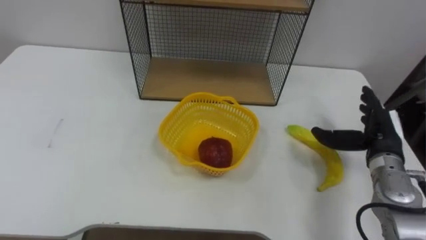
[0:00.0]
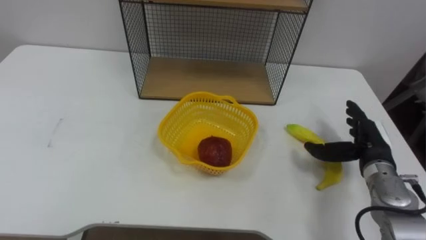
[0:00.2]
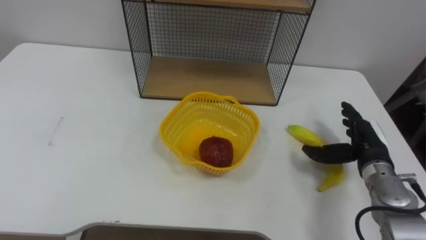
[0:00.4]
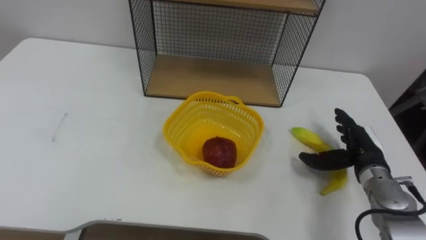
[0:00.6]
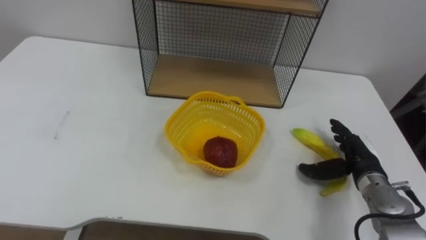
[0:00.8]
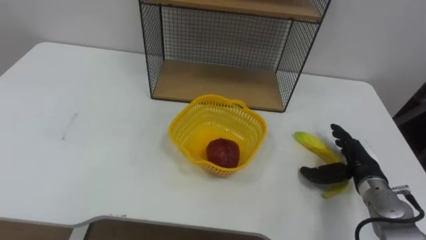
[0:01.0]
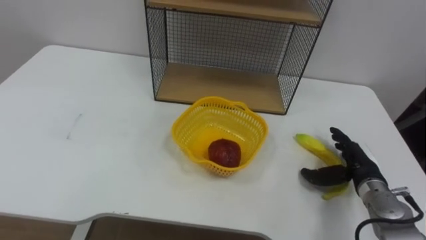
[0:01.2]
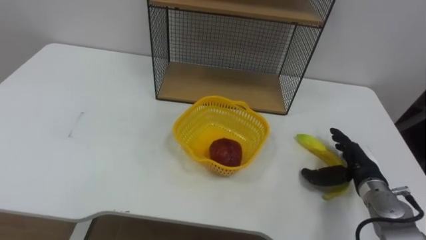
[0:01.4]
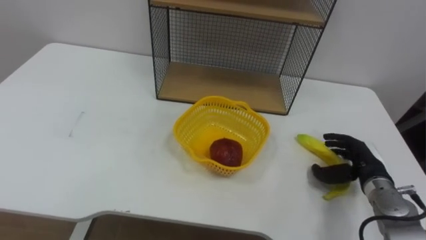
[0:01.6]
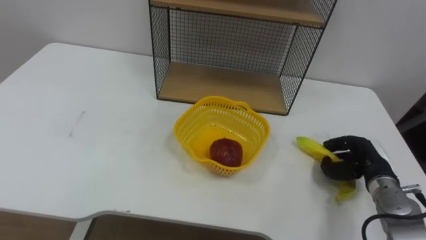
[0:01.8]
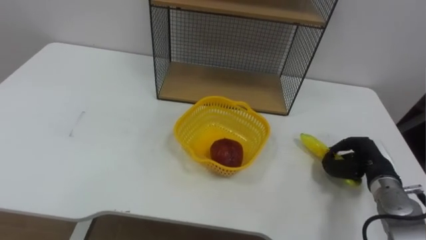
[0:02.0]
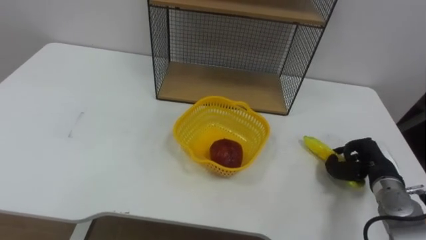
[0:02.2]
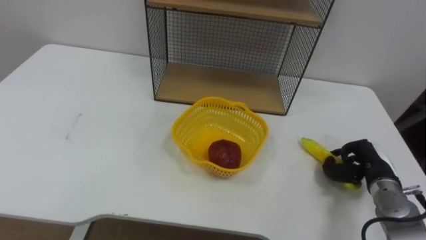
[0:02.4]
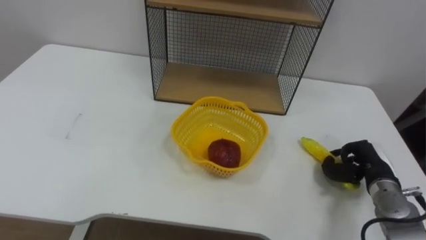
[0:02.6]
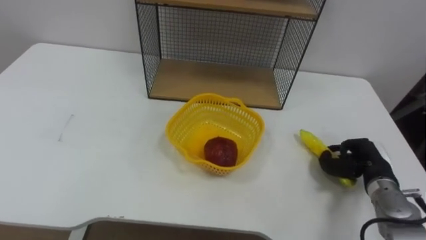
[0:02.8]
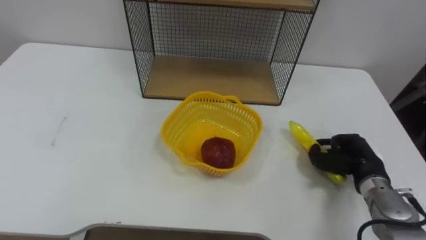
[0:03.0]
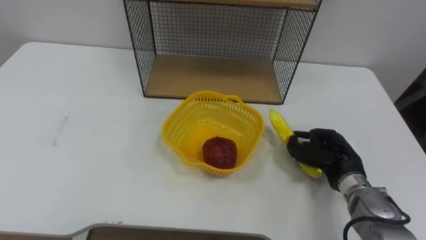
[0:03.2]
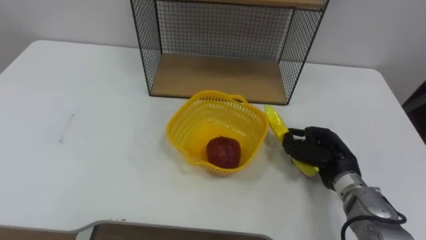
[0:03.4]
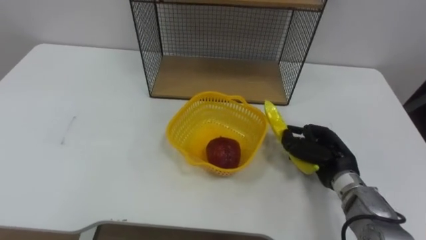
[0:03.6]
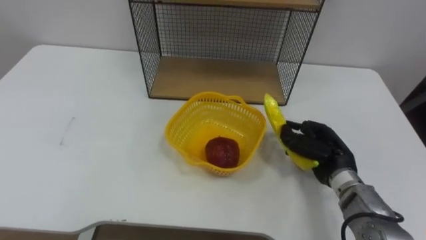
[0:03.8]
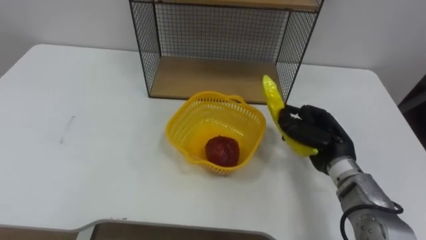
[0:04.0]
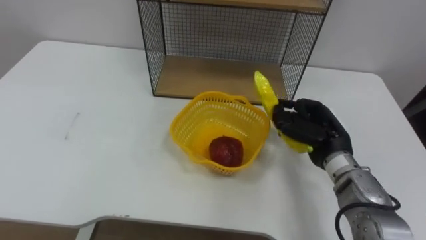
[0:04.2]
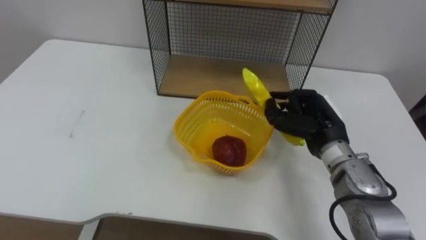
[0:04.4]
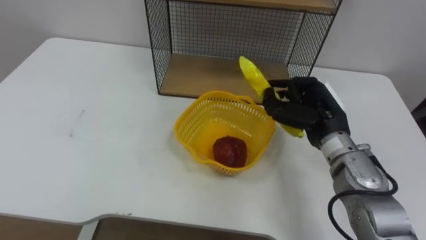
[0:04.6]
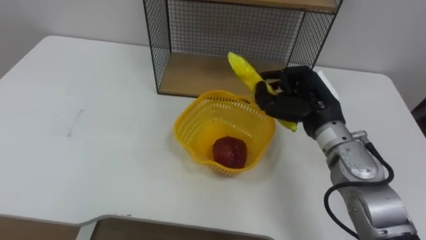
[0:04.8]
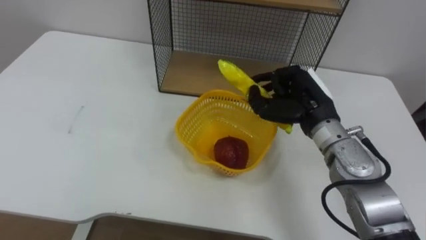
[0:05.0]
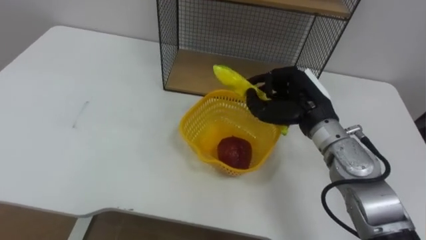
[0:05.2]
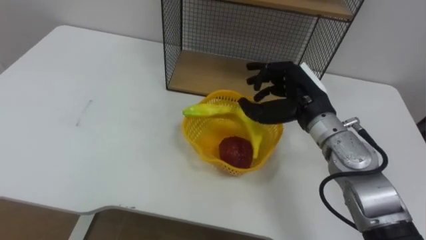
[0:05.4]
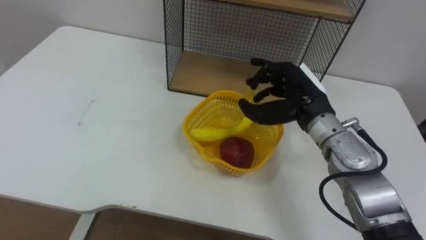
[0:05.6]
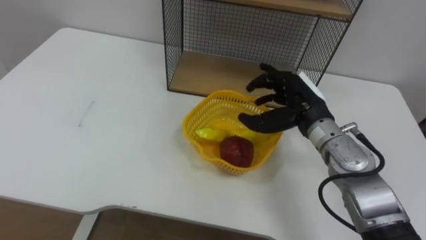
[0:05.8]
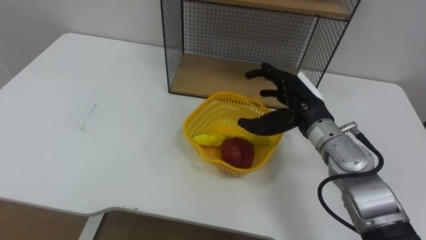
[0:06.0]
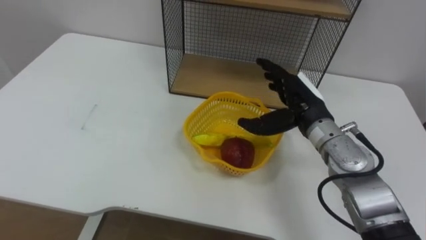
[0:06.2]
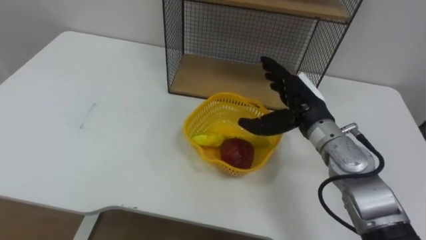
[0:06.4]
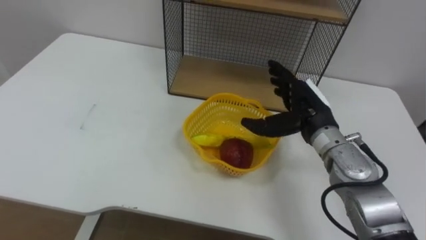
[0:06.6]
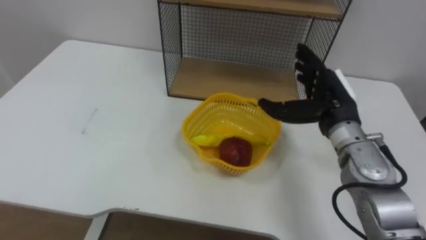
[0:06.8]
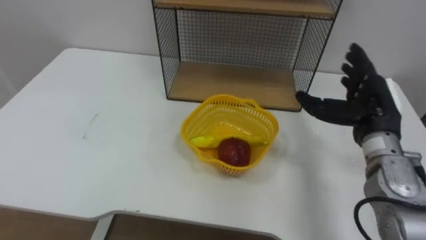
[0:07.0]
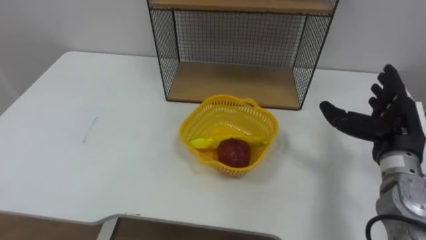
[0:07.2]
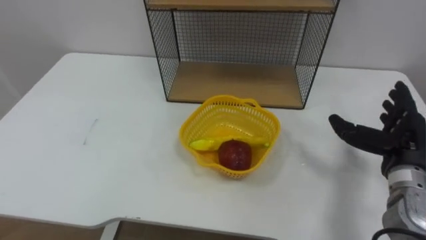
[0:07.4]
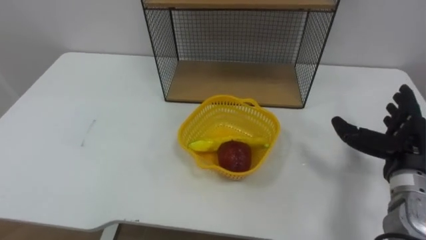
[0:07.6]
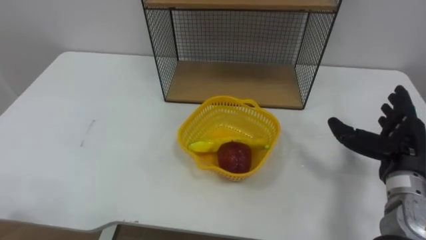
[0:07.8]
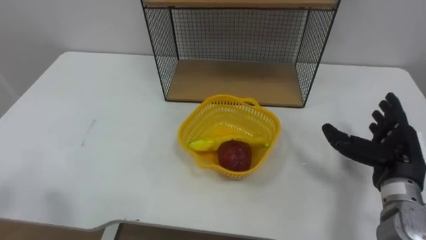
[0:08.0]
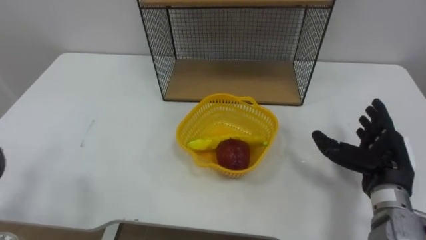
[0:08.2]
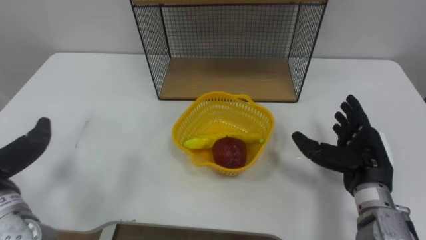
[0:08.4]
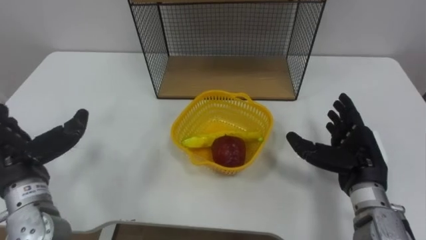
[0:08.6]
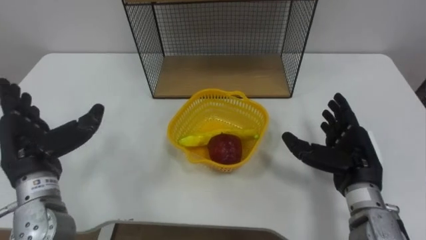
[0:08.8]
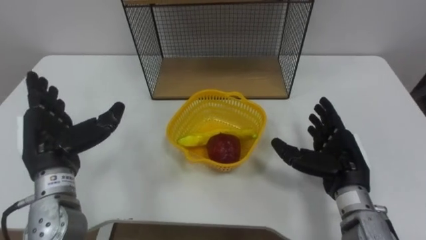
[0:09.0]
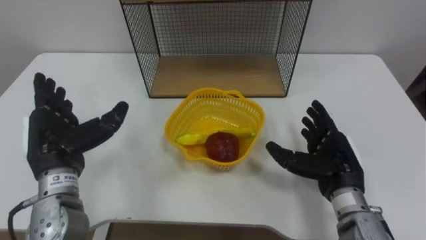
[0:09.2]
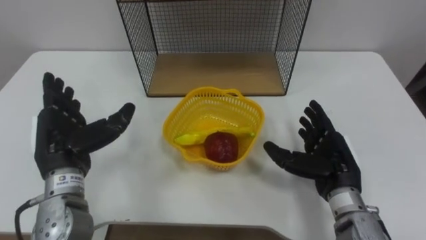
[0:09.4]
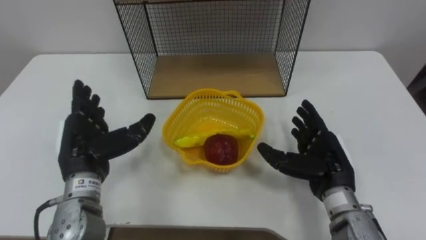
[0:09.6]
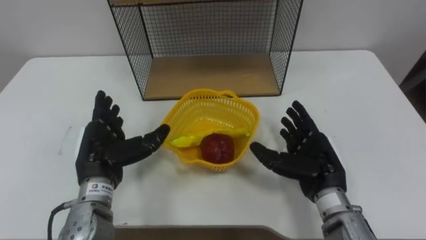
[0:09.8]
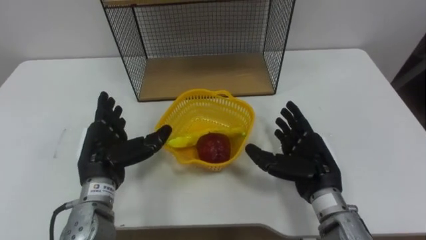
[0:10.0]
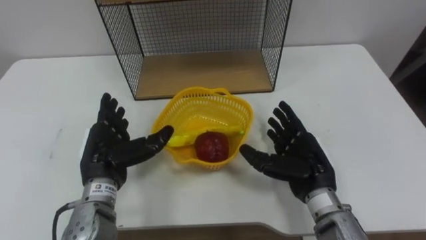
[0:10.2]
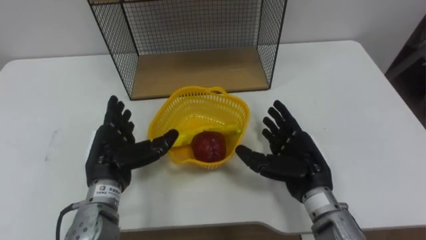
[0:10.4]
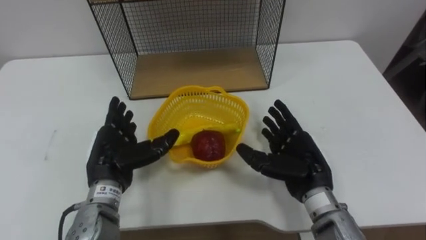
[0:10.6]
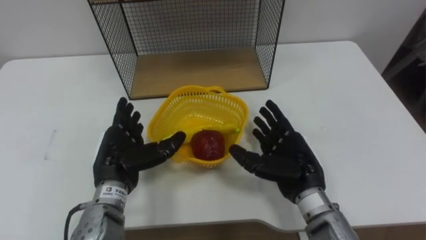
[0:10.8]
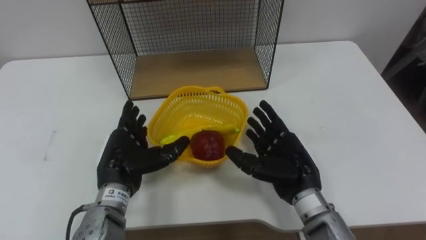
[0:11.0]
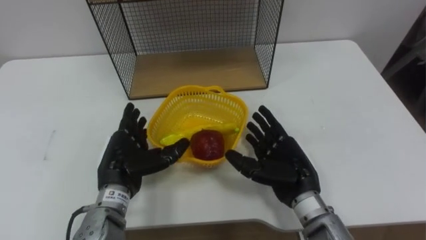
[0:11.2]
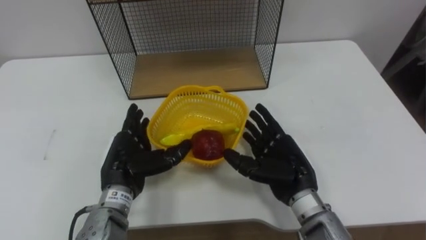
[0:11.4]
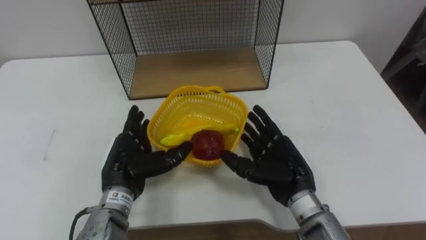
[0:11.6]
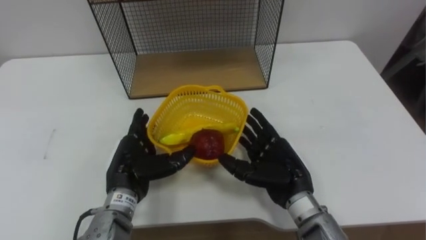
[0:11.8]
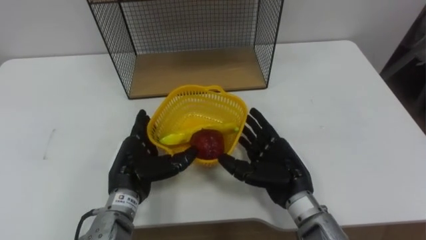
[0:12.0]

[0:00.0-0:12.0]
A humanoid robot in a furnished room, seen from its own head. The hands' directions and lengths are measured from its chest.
Task of the whole recording: Put the fruit on the table into the basket, then place the basket on the shelf.
0:00.0 to 0:01.6: The right hand travels downward by about 10 cm.
0:01.6 to 0:03.0: The right hand closes up.
0:03.0 to 0:04.4: The right hand moves to the left and upward, about 15 cm.
0:04.4 to 0:06.0: The right hand shifts by some 5 cm, and opens up.
0:06.0 to 0:07.6: The right hand travels to the right and backward by some 20 cm.
0:07.6 to 0:09.0: The right hand is displaced to the left by some 10 cm.
0:09.0 to 0:10.4: The right hand moves to the left, roughly 5 cm; the left hand moves to the right and downward, some 10 cm.

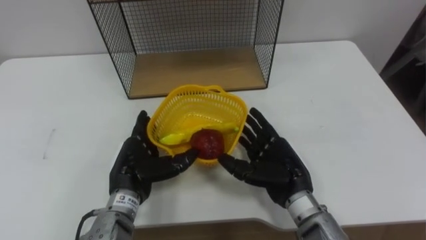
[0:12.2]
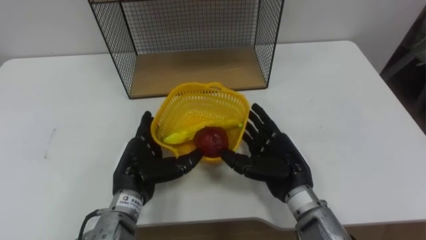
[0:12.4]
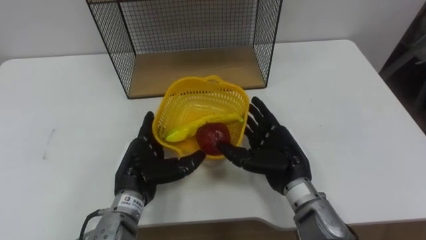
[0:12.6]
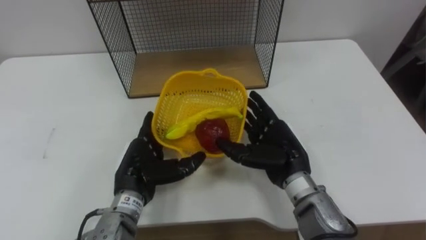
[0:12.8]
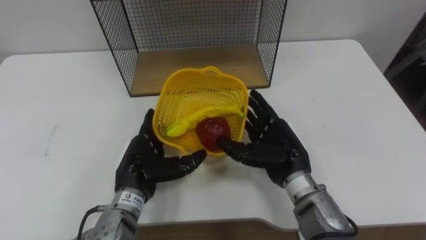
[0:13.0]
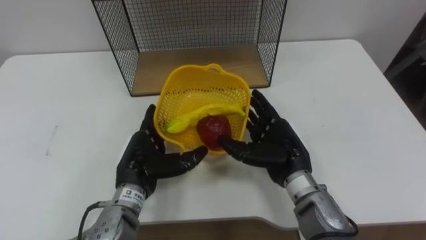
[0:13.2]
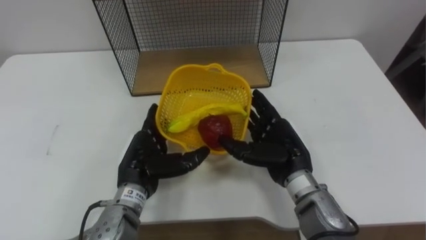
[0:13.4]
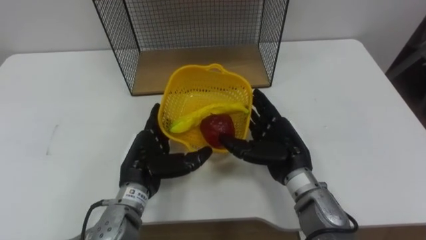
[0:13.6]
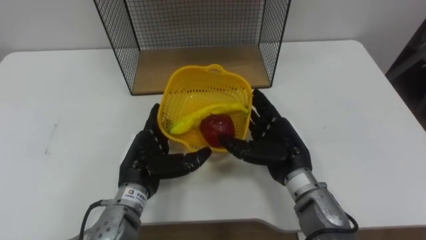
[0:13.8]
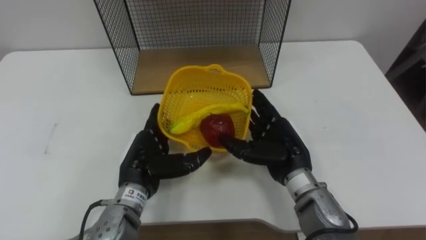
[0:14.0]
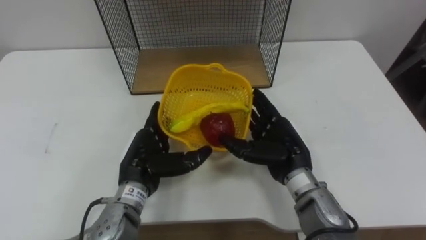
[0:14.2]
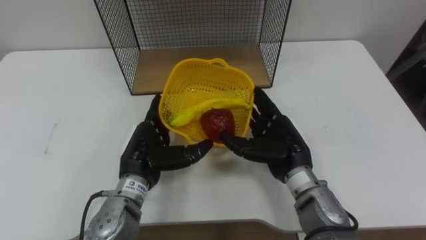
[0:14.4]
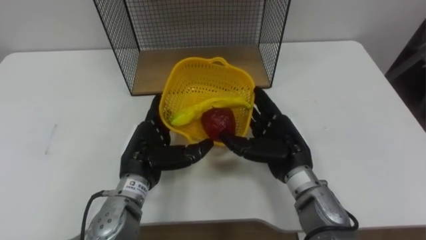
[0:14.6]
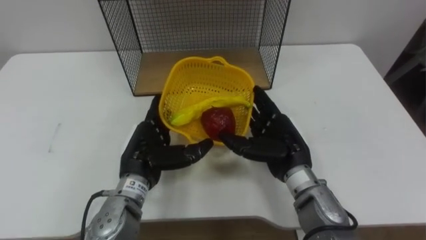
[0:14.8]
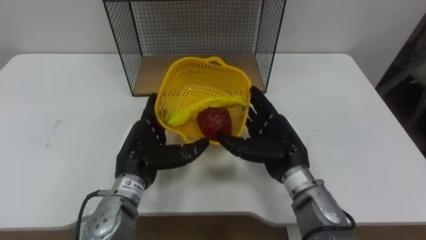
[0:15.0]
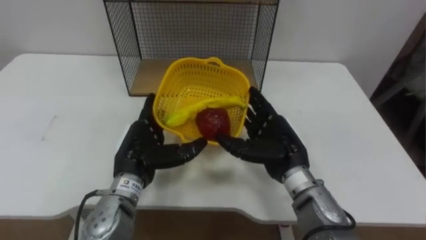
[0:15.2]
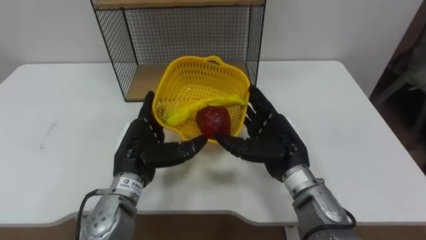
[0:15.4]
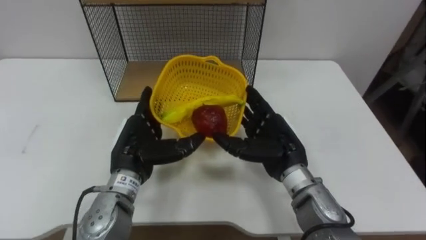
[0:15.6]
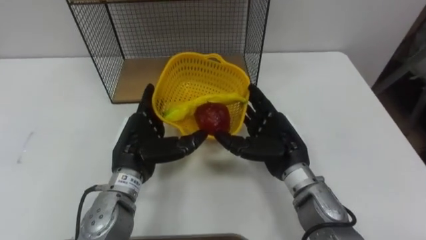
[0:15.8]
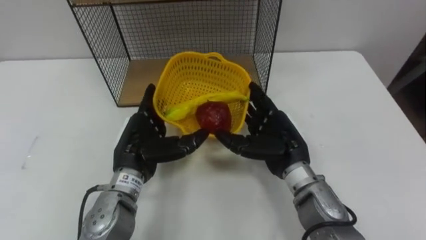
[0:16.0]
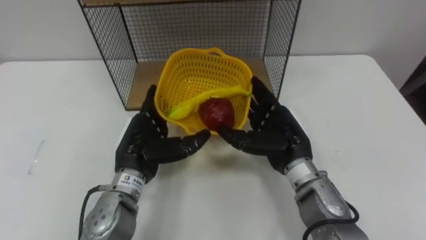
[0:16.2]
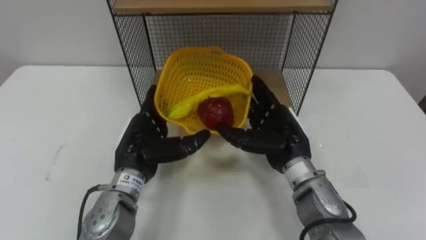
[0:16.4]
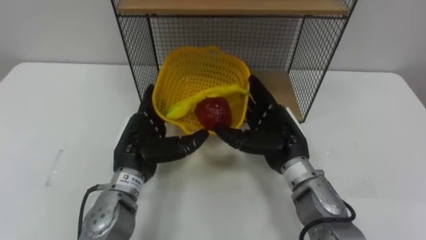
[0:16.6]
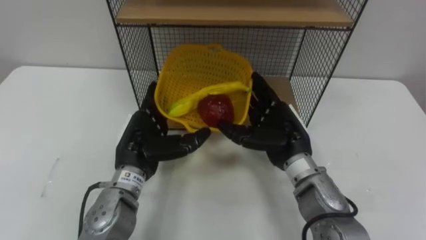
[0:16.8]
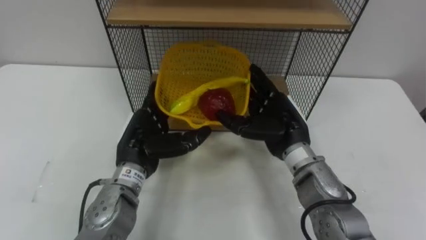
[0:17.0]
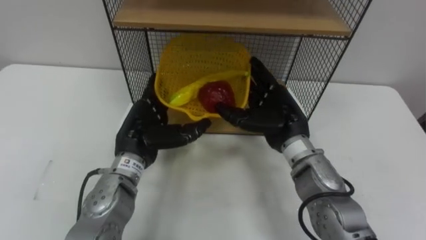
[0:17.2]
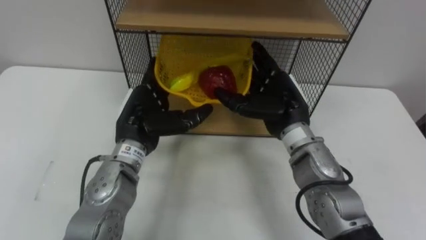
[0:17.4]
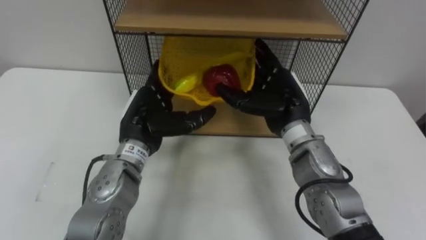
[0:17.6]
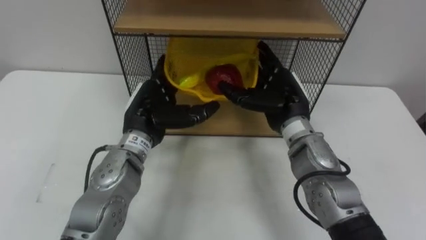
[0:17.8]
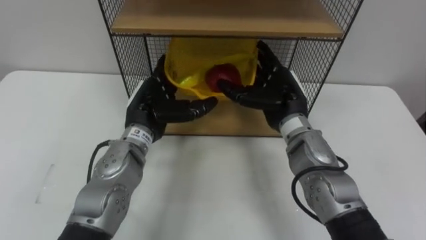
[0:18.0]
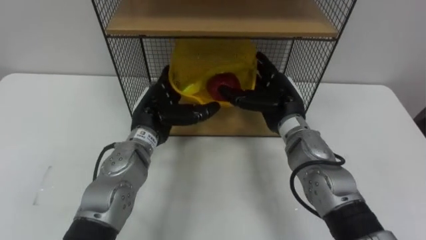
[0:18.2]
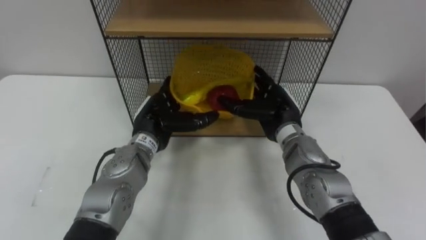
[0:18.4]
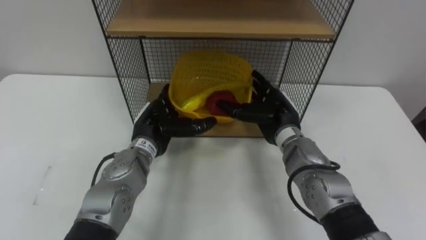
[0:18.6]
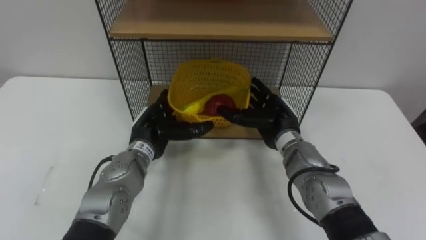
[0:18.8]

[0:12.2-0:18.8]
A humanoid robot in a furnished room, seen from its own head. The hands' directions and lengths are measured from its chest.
Task of the whole recording: Put the fruit on the table into the basket, then place the basket on the shelf.
0:12.2 to 0:13.8: The hands move only a little.
0:17.2 to 0:18.8: The right hand moves some 5 cm. Meanwhile the left hand changes place by about 5 cm.
